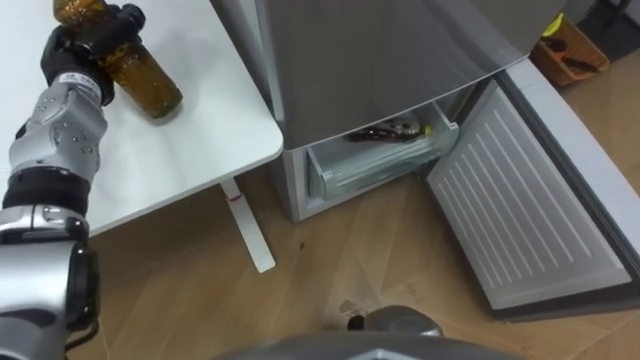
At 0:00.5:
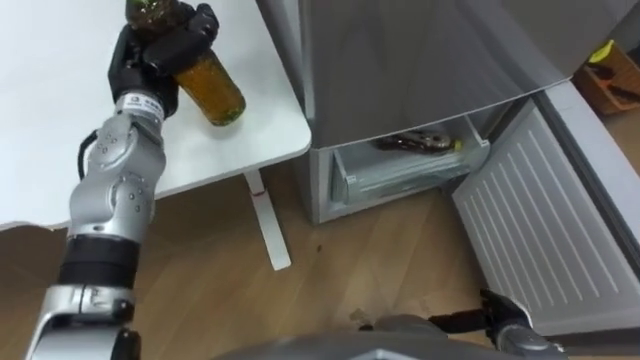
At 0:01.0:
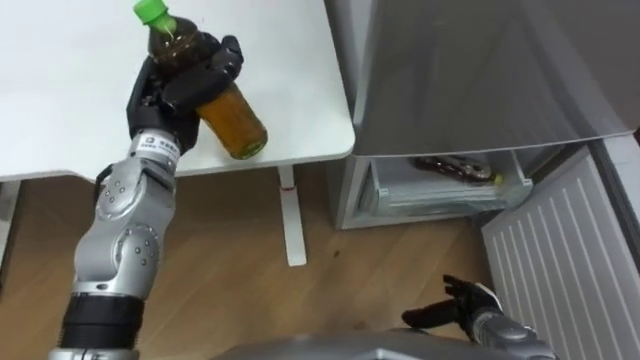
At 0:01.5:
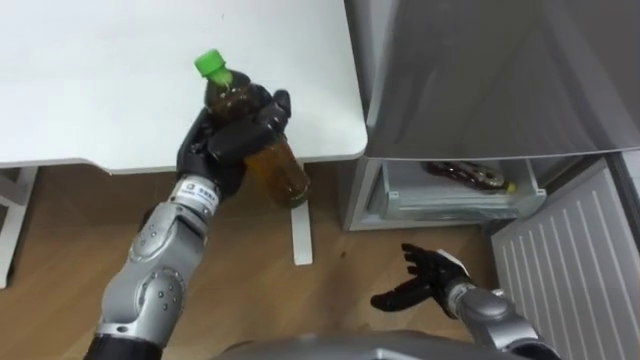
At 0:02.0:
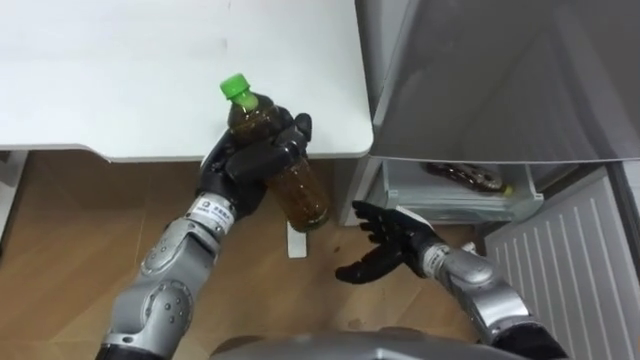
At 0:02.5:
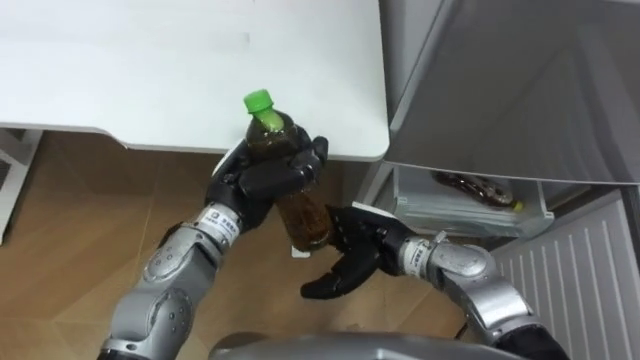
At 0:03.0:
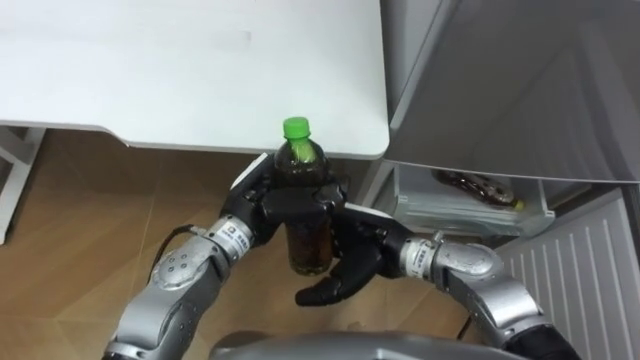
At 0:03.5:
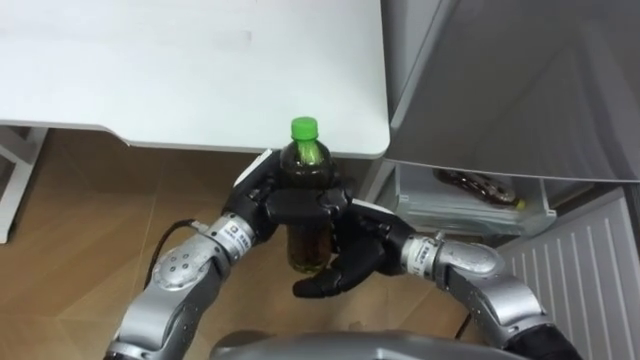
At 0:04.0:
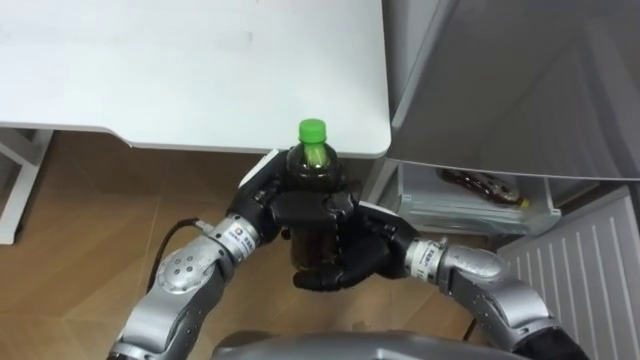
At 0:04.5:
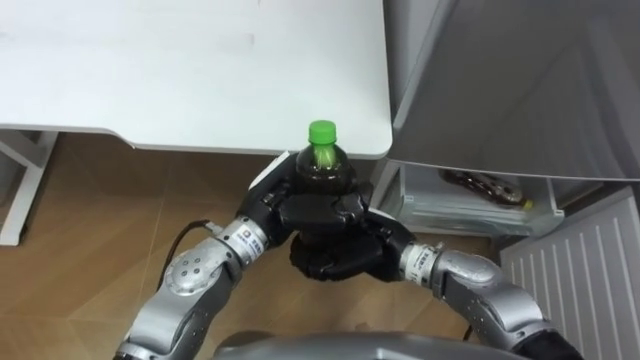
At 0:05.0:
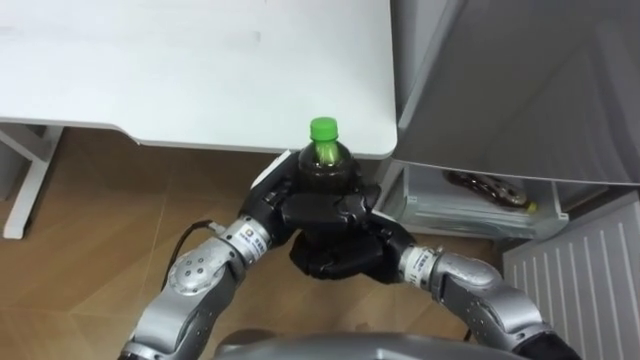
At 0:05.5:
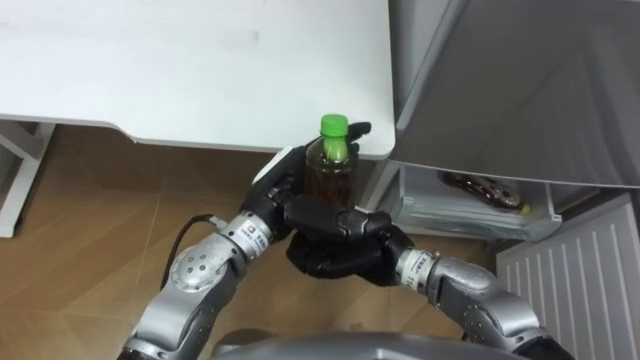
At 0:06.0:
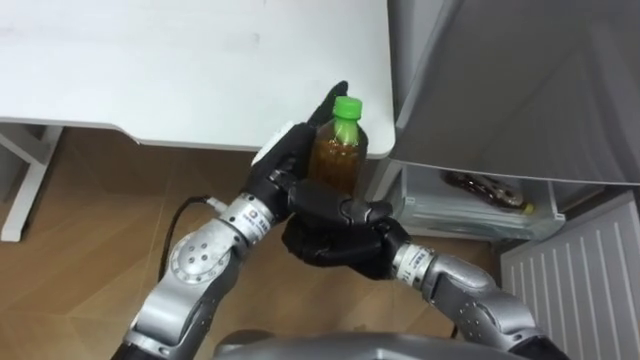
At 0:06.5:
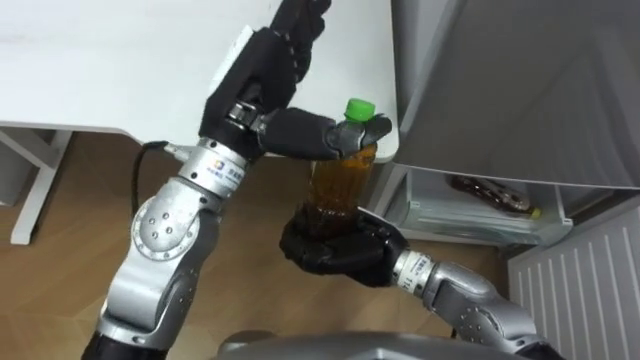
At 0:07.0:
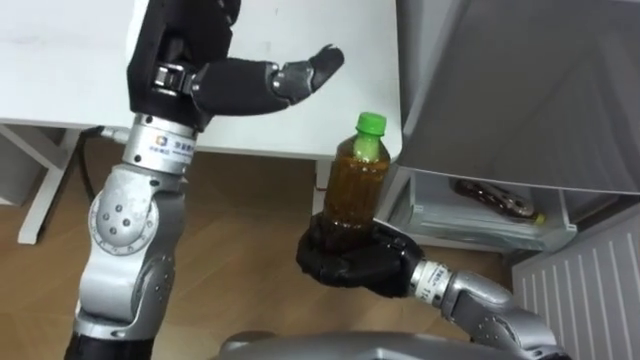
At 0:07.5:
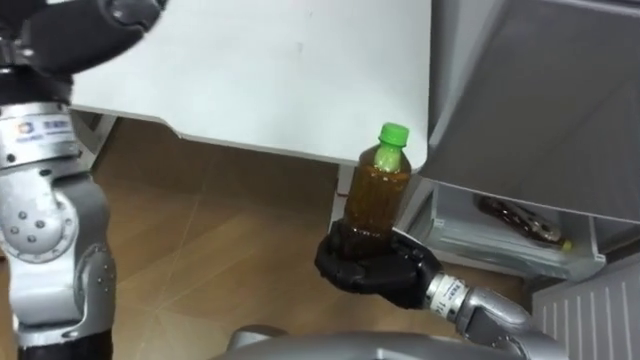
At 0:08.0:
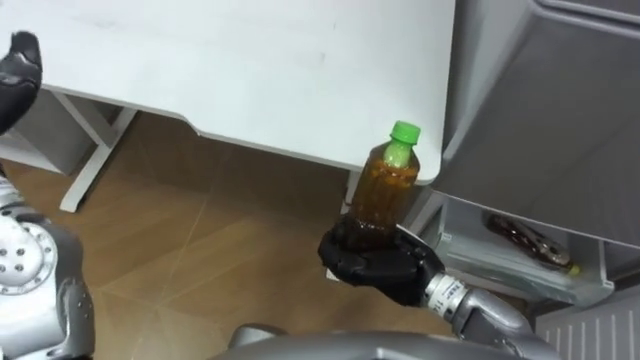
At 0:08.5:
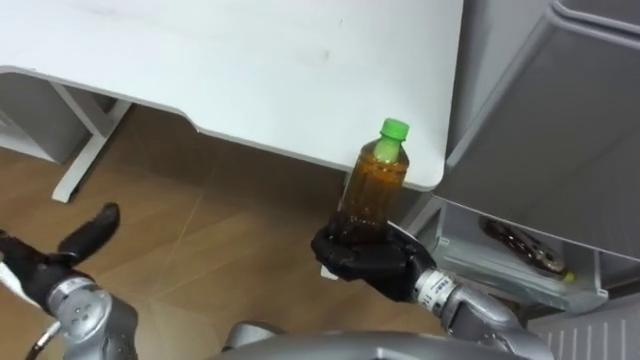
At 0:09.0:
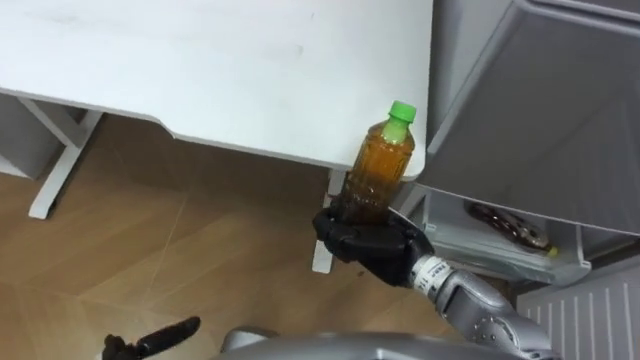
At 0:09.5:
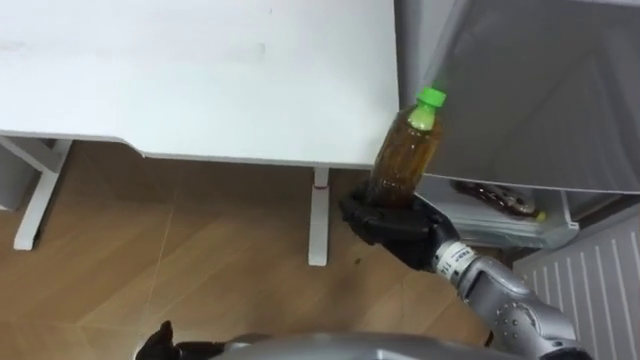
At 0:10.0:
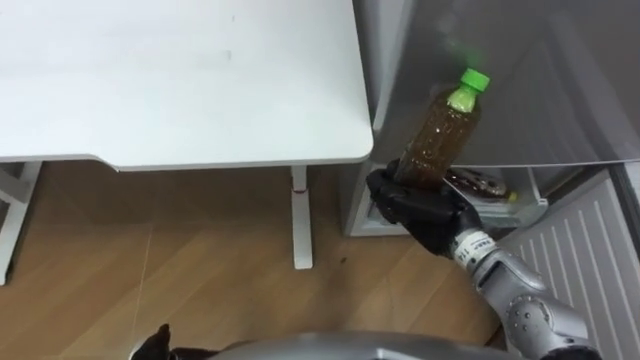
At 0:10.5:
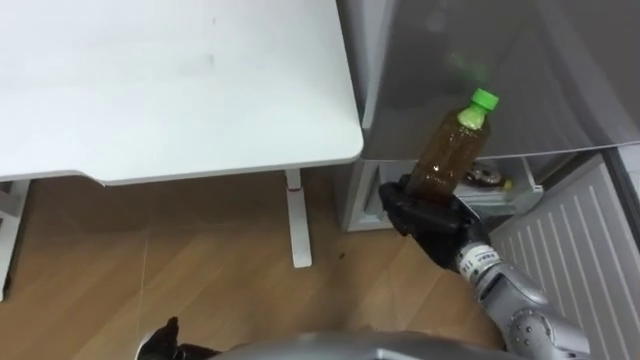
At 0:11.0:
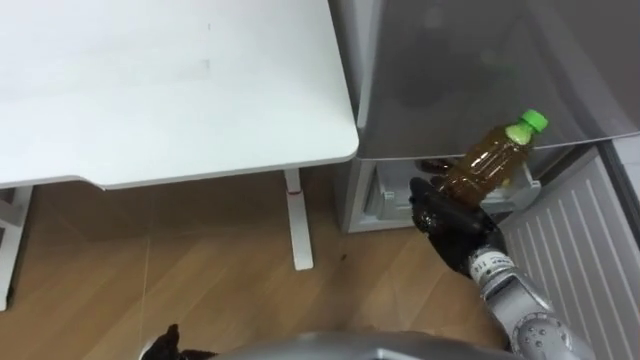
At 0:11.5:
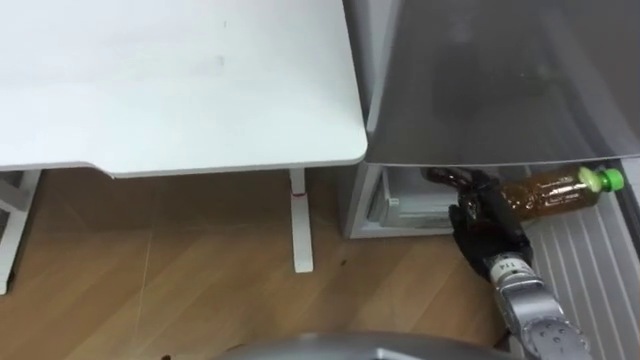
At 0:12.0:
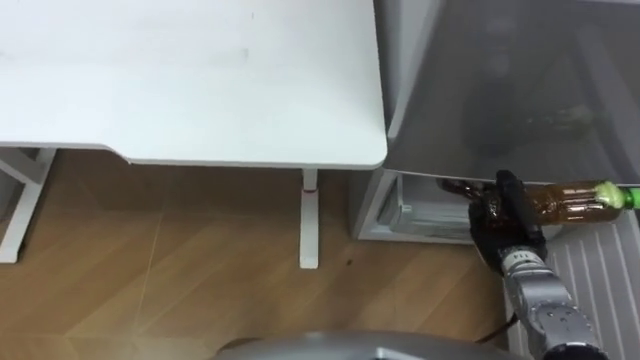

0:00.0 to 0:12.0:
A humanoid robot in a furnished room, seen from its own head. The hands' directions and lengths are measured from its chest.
Task of the whole recording: Place the drink on the table on the bottom shelf of the refrigerator, then close the drawer and the refrigerator door.
0:00.0 to 0:02.0: The left hand moves to the right and backward, approximately 25 cm.
0:02.0 to 0:04.0: The right hand shifts some 10 cm upward and to the left; the left hand changes place by some 5 cm.
0:04.0 to 0:06.0: The left hand opens its fingers. Meanwhile the right hand closes.
0:06.0 to 0:08.0: The right hand changes place by some 5 cm.
0:08.0 to 0:10.0: The right hand travels forward and to the right by about 10 cm.
0:10.0 to 0:12.0: The right hand goes approximately 15 cm to the right and downward.

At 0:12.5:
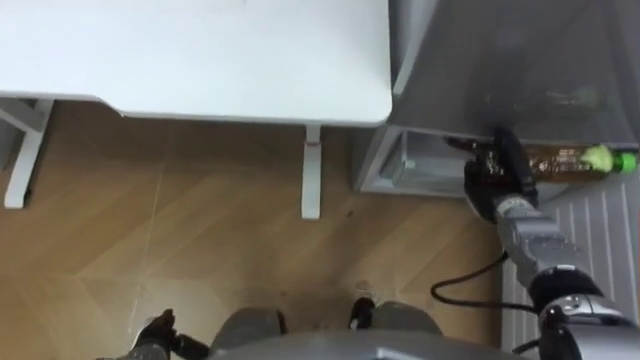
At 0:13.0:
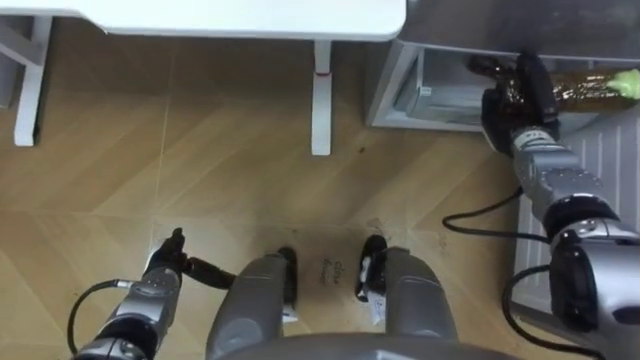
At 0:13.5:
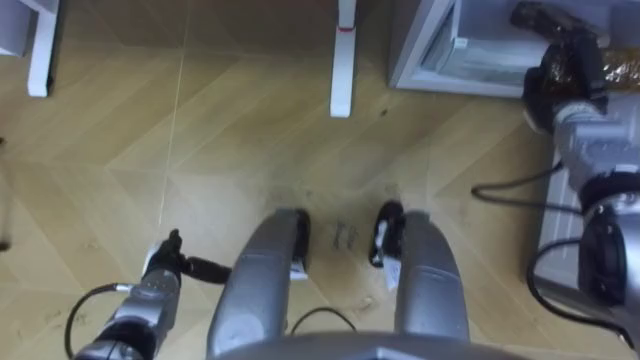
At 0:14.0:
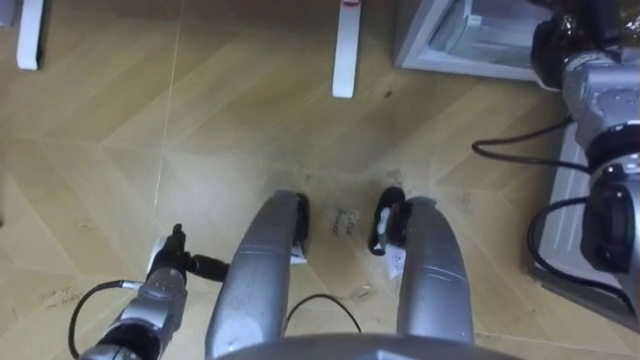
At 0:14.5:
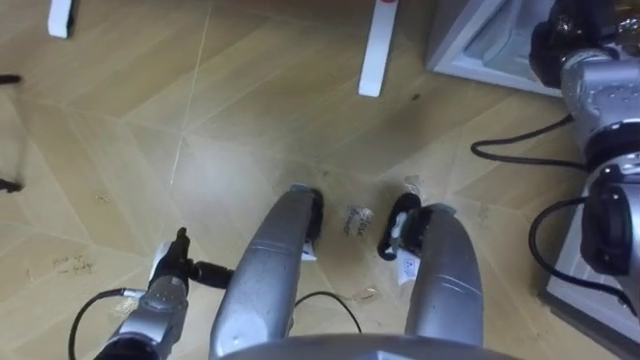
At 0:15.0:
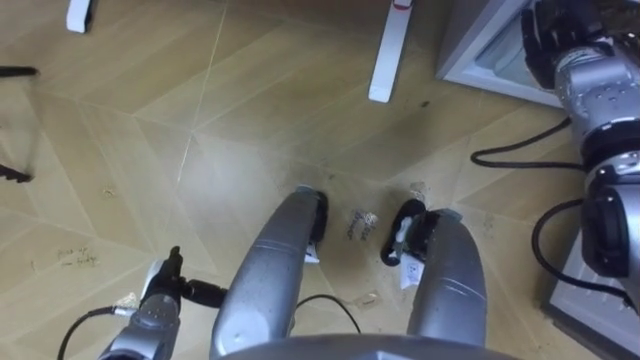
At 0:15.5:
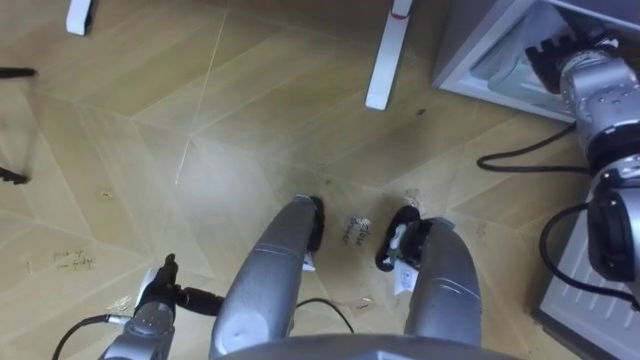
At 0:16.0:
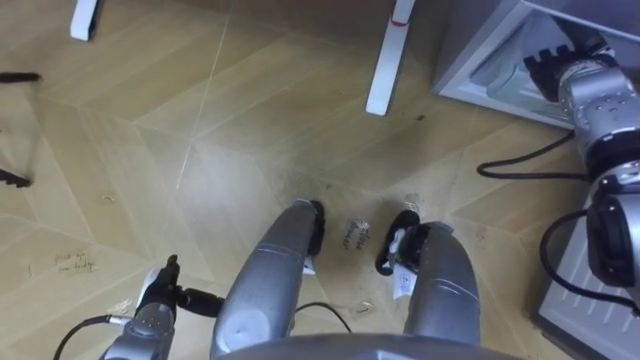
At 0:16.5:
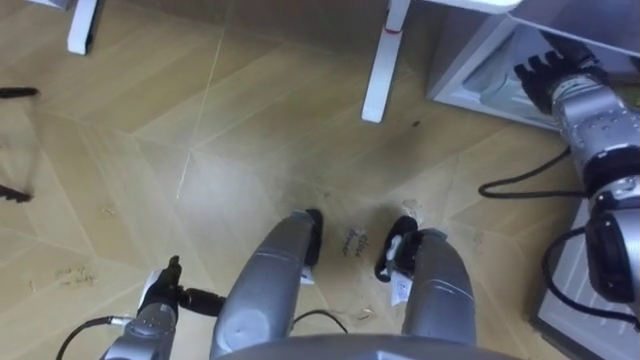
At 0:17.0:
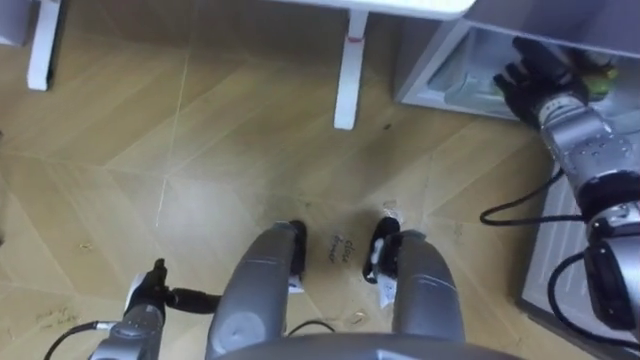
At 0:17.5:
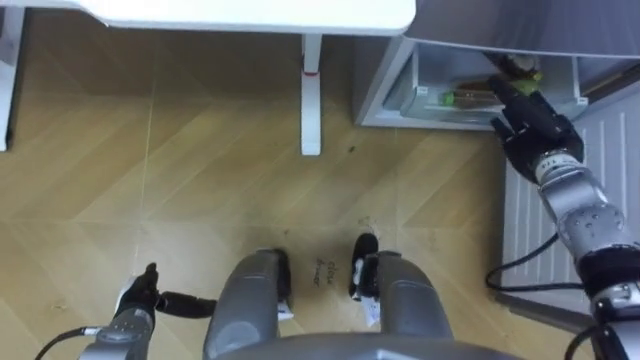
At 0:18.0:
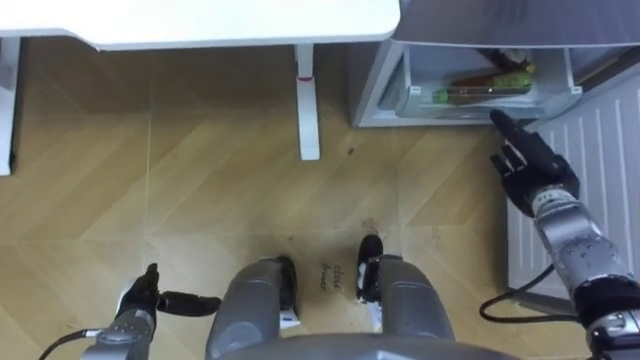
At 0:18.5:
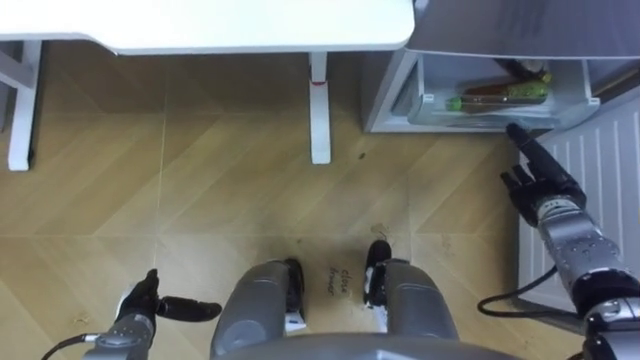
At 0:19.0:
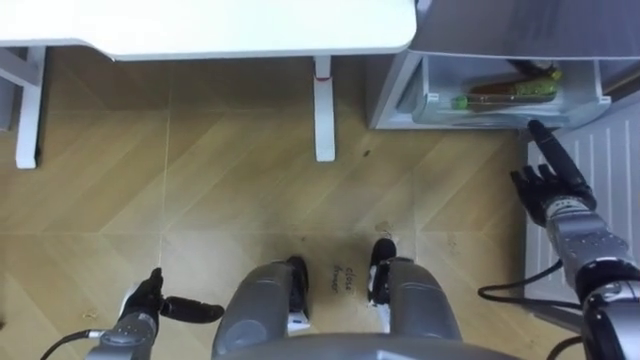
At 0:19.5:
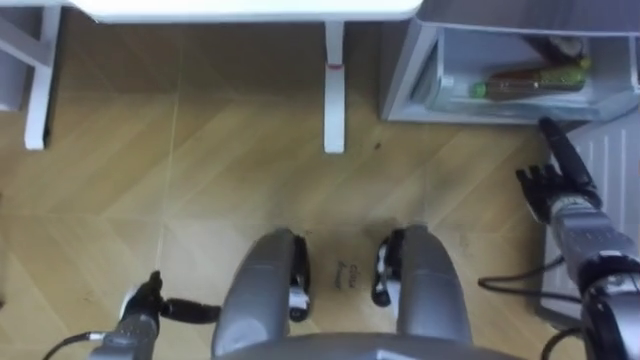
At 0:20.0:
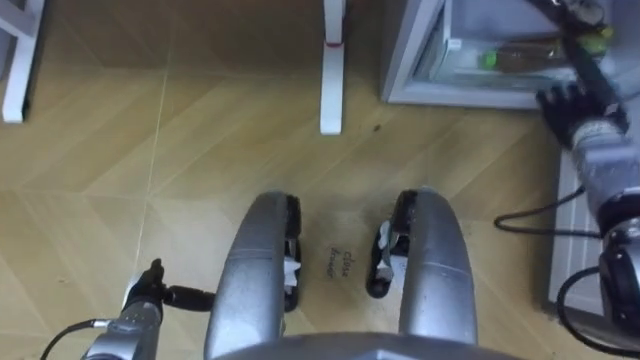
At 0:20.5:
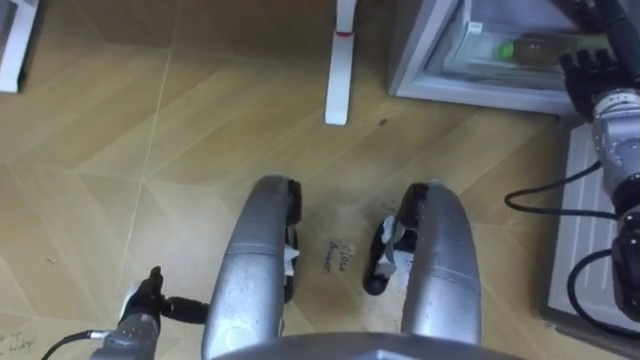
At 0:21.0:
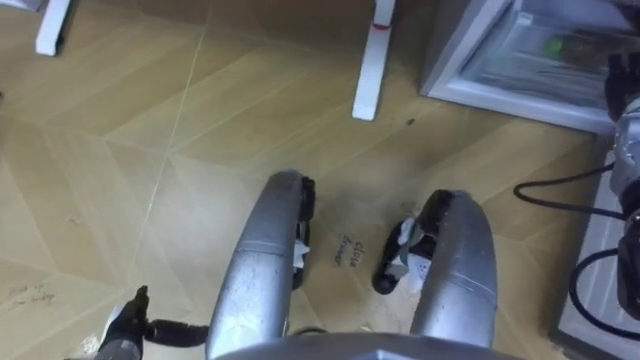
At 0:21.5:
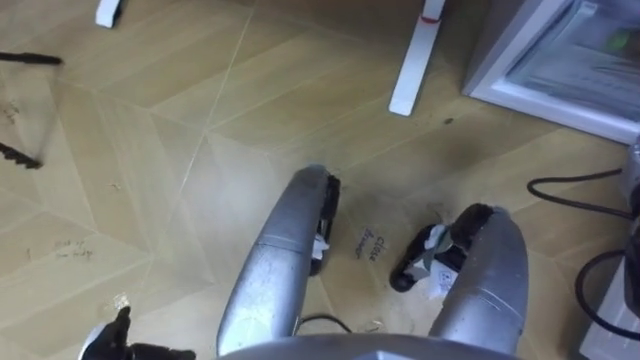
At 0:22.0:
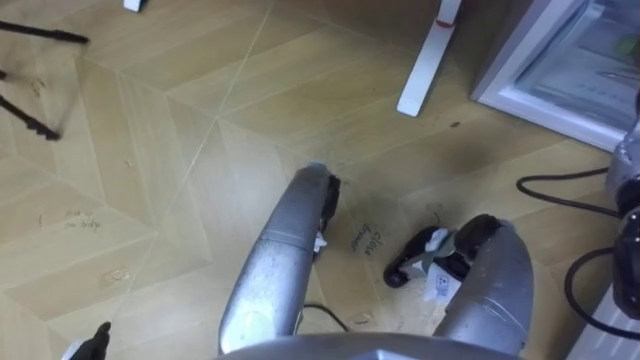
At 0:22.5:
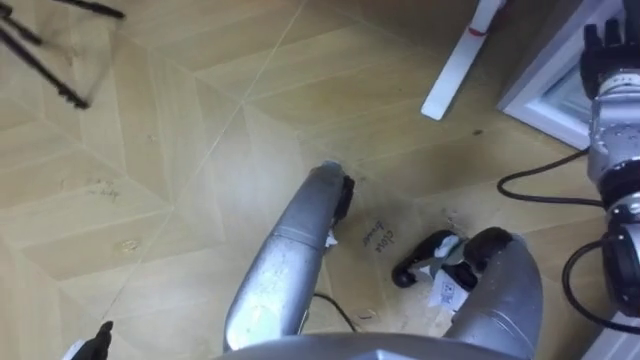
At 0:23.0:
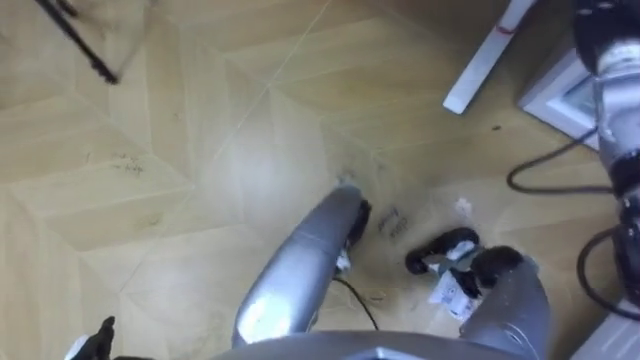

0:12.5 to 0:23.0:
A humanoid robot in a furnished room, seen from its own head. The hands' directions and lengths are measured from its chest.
Task of the whole recording: Place the drink on the table on the bottom shelf of the refrigerator, then close the drawer and the refrigerator door.
0:12.5 to 0:14.5: The left hand is displaced forward by roughly 10 cm. The right hand moves upward and forward, about 20 cm.
0:14.5 to 0:16.5: The right hand opens.
0:16.5 to 0:19.0: The right hand shifts roughly 15 cm backward and downward.
0:19.0 to 0:21.0: The right hand goes some 15 cm upward, forward and to the right.
